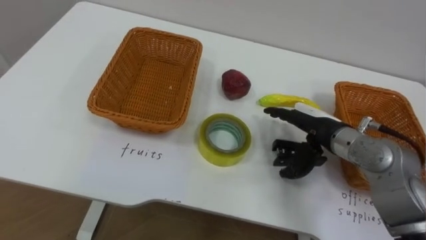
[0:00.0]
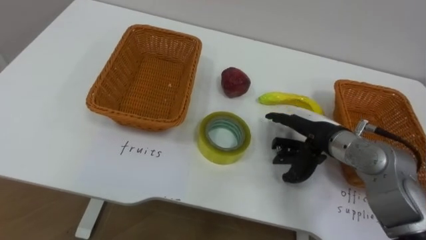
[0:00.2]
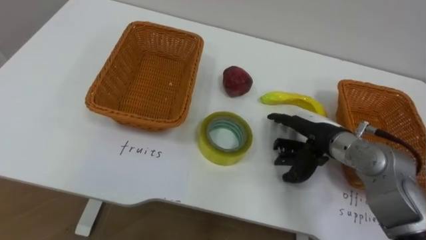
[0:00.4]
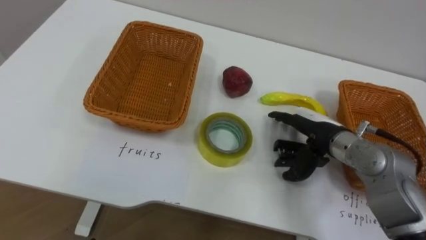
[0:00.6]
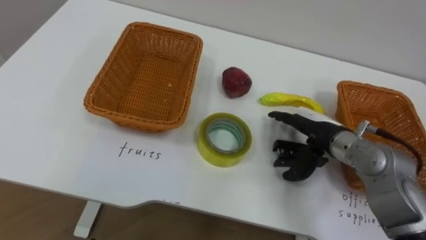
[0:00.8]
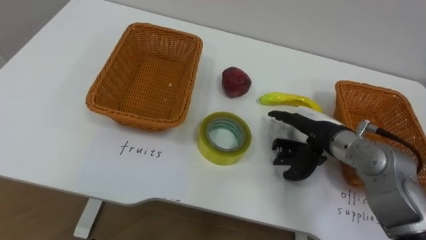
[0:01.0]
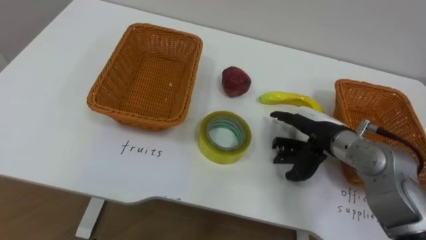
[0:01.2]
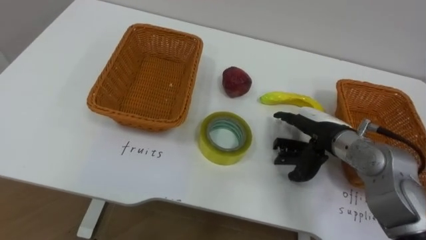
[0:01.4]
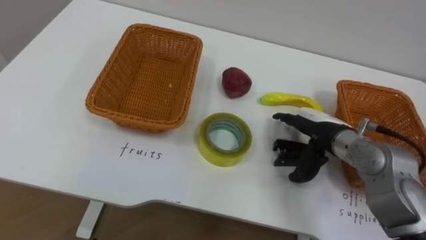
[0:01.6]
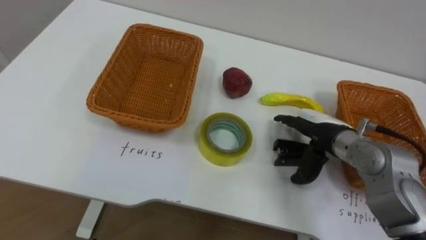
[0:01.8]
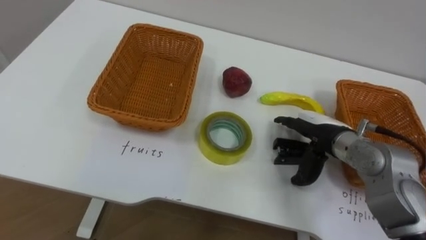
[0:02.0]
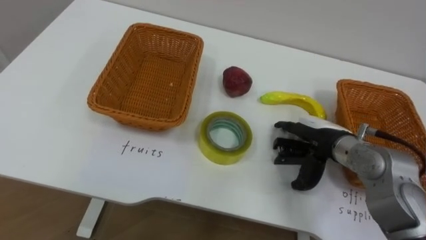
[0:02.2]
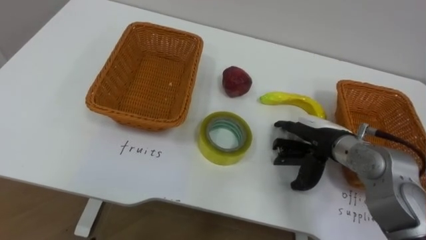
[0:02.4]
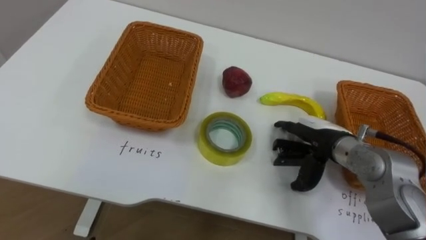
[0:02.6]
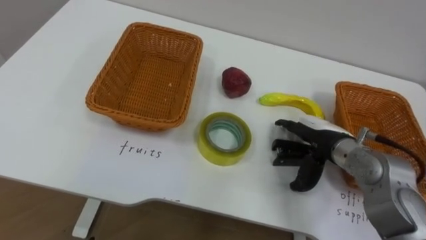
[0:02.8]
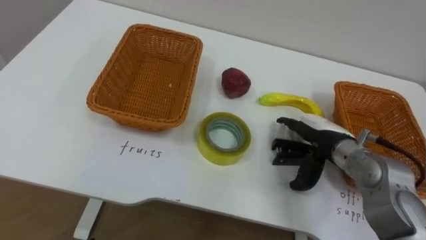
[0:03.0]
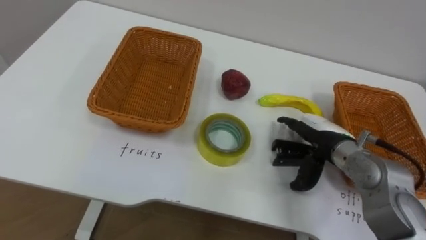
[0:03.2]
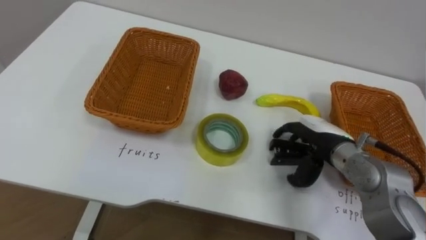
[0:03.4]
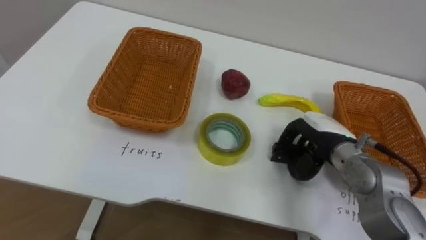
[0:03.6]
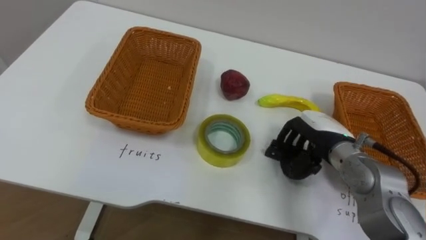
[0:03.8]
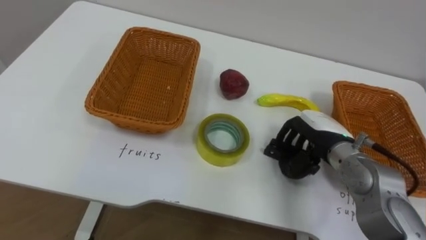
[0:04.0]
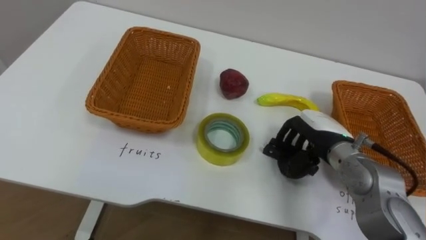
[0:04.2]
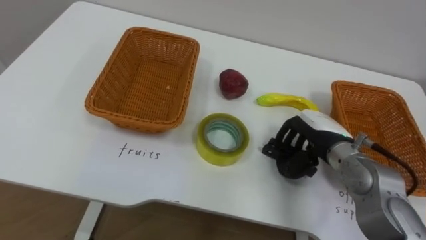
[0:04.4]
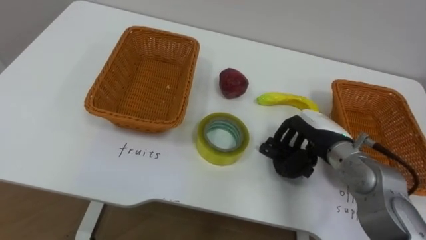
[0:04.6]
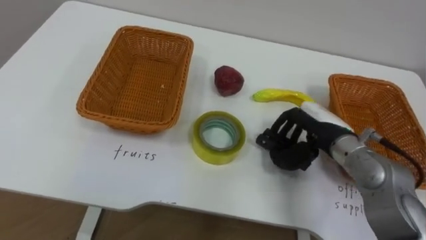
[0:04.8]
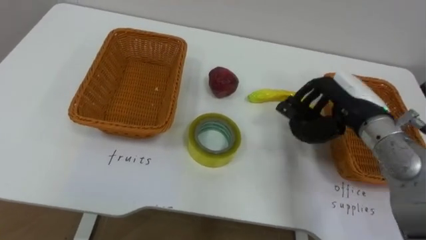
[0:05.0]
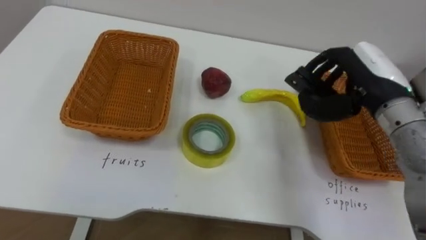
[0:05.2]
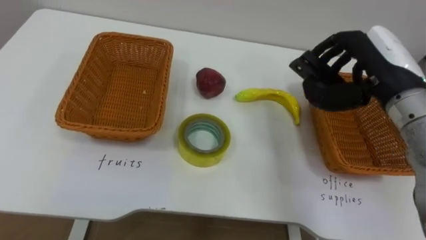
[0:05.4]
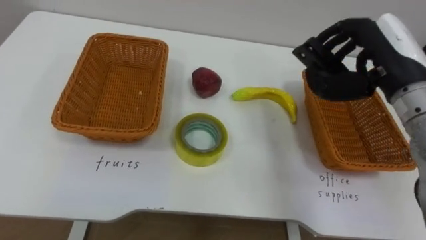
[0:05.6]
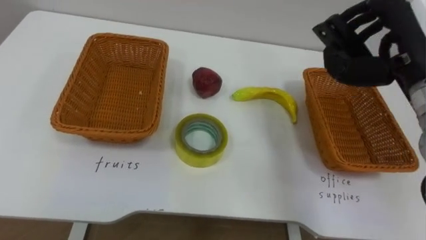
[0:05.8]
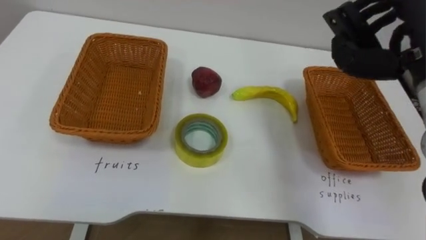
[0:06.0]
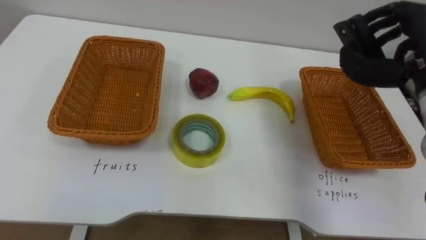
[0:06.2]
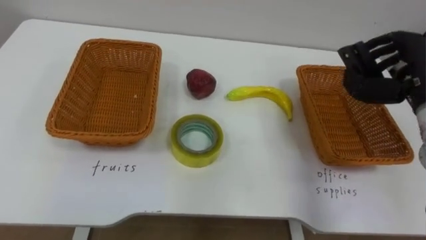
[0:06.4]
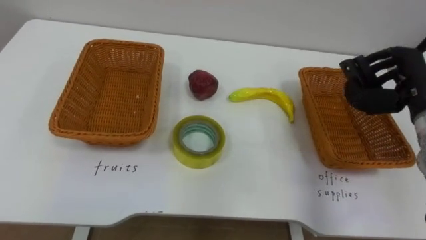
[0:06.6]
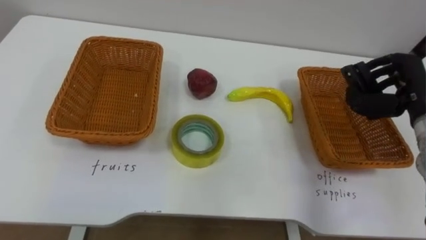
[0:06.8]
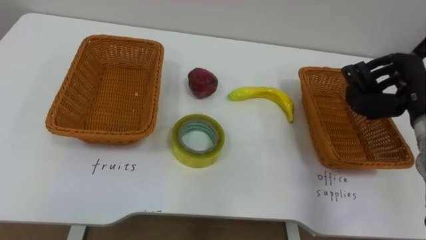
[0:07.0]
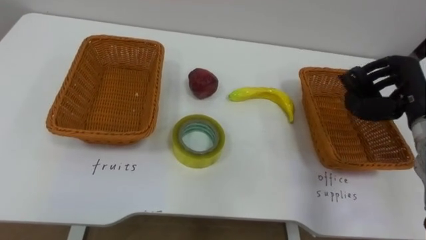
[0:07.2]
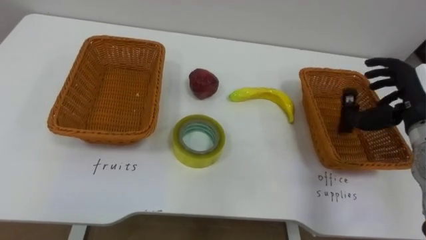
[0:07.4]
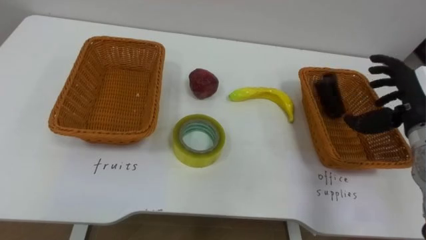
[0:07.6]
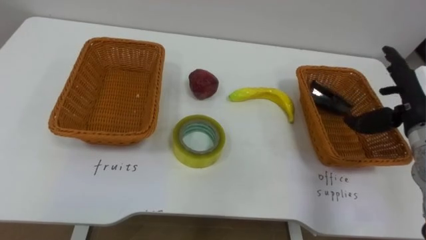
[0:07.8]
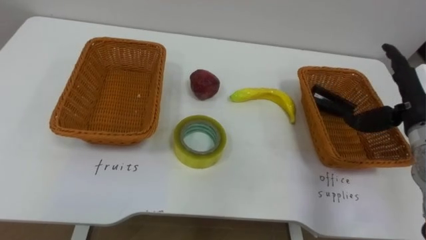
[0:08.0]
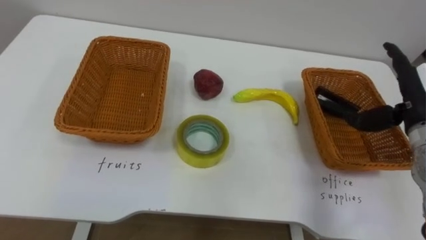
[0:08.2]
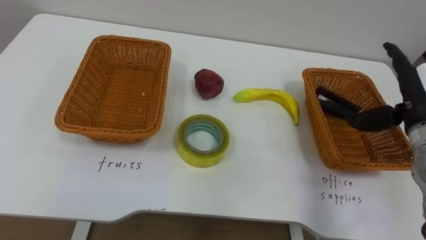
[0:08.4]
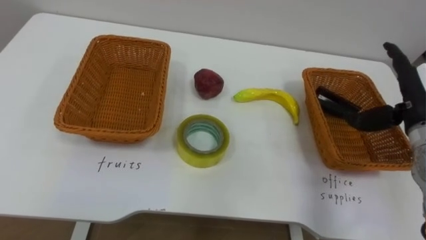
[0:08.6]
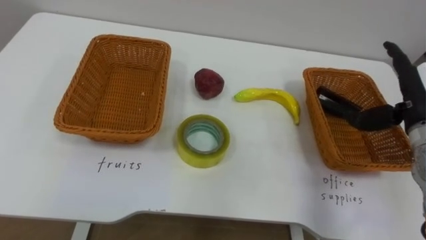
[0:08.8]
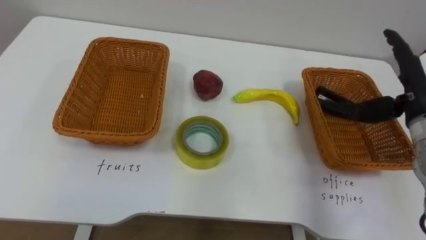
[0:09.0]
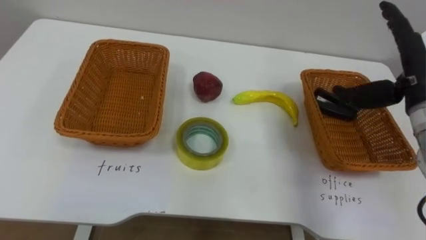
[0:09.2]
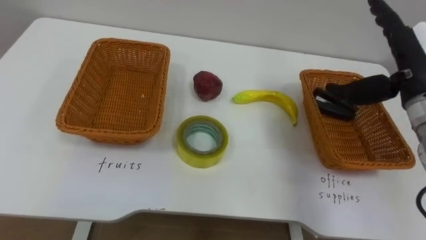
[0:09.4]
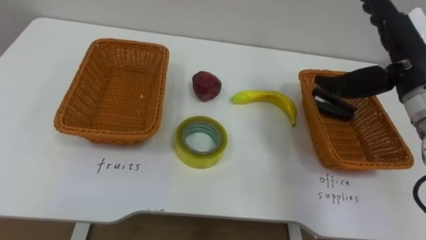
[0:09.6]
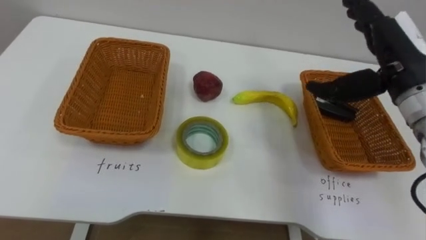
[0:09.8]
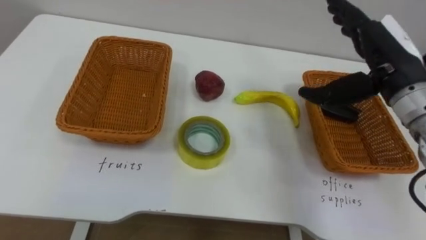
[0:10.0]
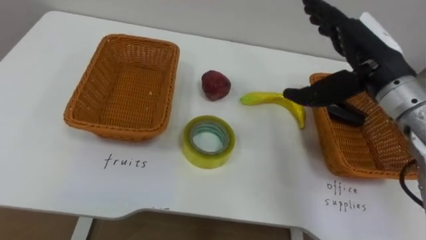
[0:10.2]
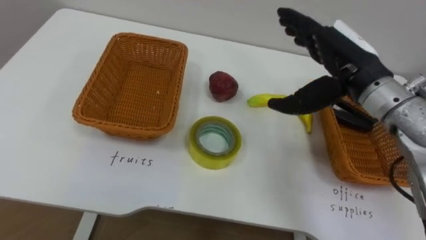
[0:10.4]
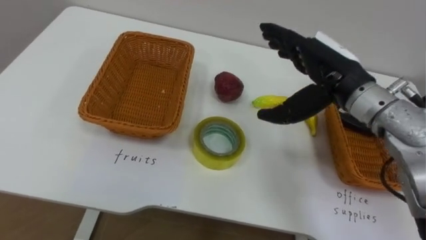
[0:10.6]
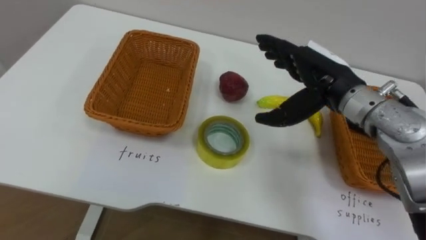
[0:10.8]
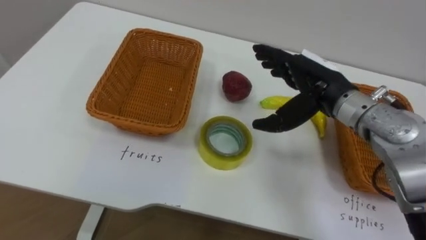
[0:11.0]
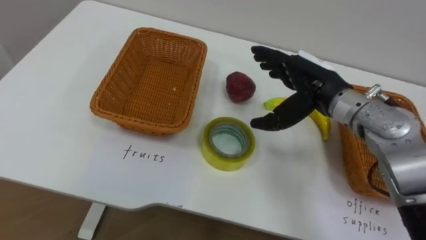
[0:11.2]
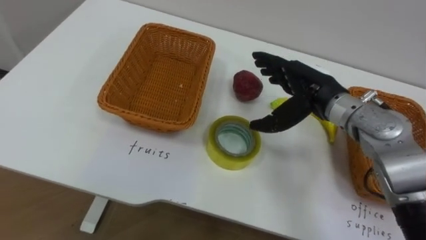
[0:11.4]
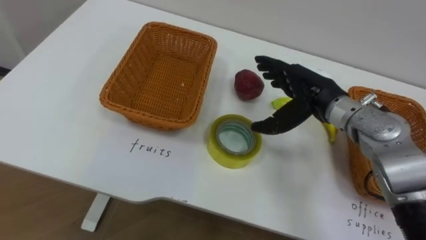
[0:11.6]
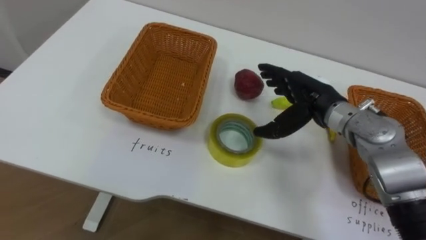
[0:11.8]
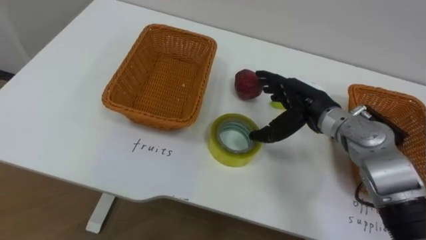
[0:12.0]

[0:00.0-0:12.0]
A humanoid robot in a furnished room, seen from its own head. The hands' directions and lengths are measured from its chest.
Task of the whole recording: Separate the items on the table and place them into the two baskets.
0:03.0 to 0:04.4: The right hand closes.
0:04.4 to 0:06.0: The right hand travels upward by roughly 20 cm.
0:06.0 to 0:07.6: The right hand moves downward and to the right, some 15 cm, and opens.
0:09.0 to 0:10.4: The right hand goes approximately 15 cm to the left and upward.
0:10.4 to 0:12.0: The right hand shifts approximately 10 cm downward.

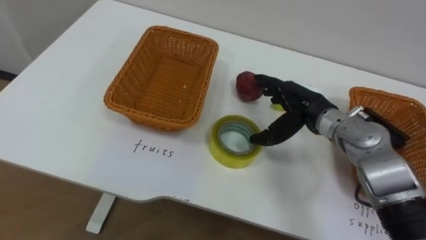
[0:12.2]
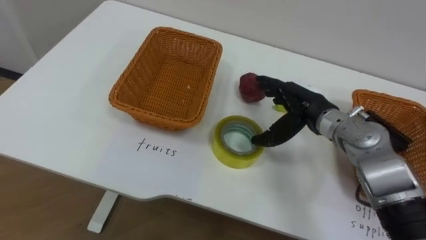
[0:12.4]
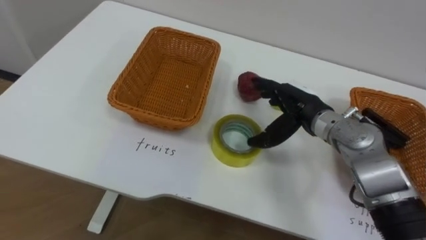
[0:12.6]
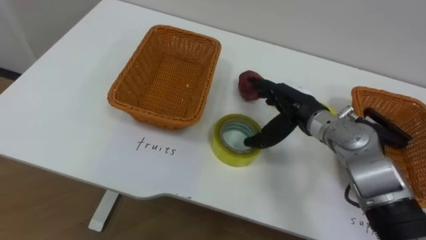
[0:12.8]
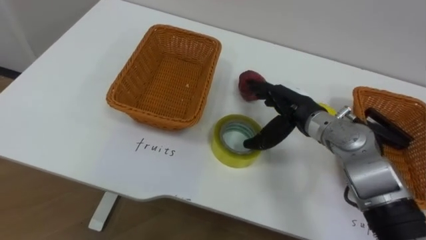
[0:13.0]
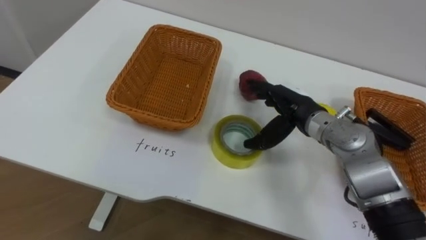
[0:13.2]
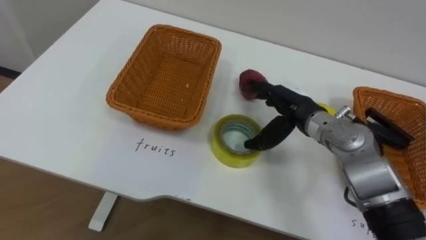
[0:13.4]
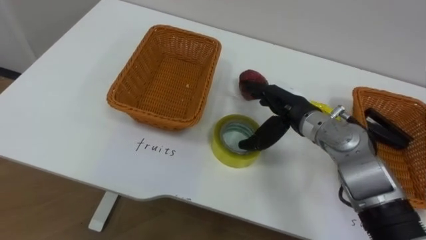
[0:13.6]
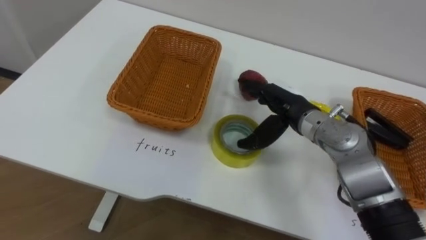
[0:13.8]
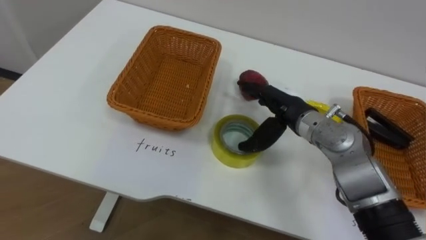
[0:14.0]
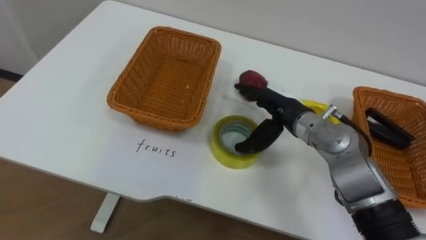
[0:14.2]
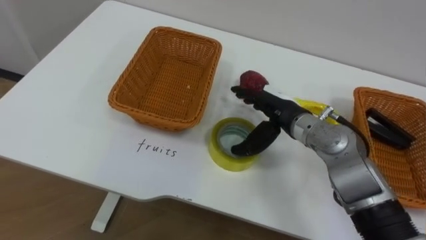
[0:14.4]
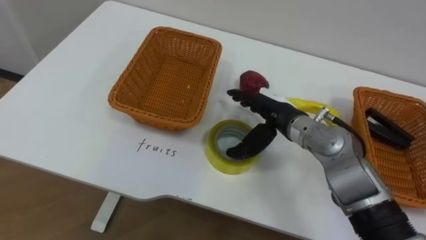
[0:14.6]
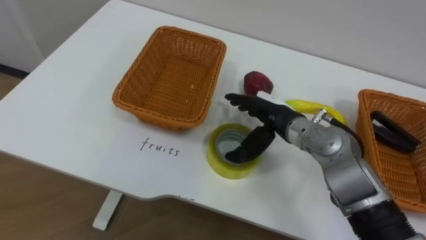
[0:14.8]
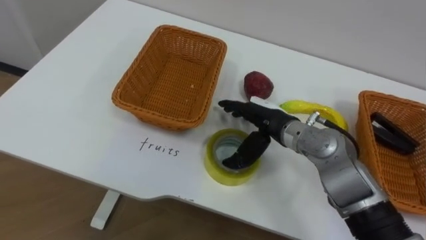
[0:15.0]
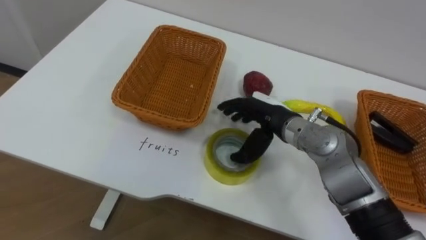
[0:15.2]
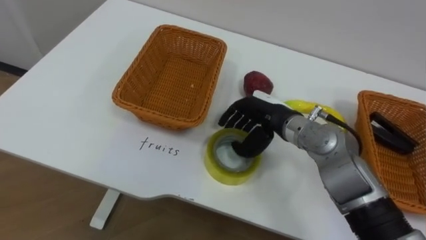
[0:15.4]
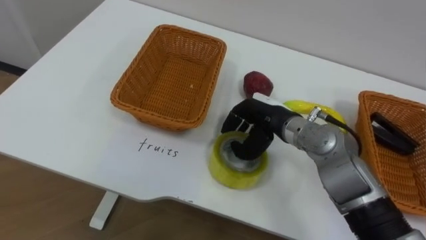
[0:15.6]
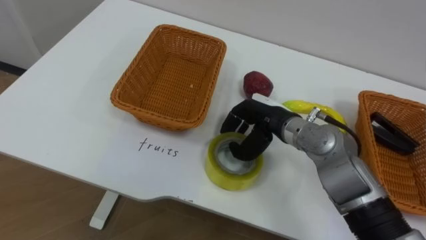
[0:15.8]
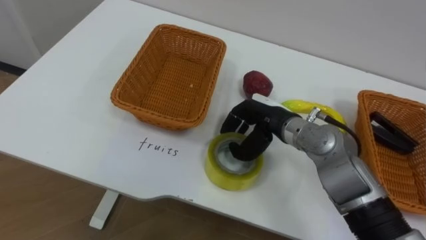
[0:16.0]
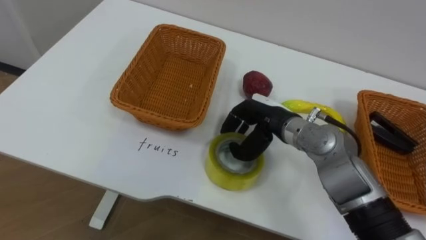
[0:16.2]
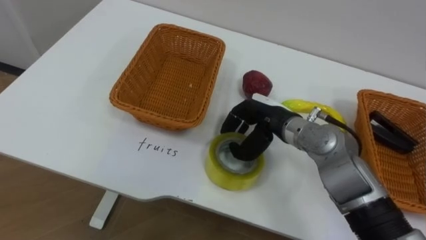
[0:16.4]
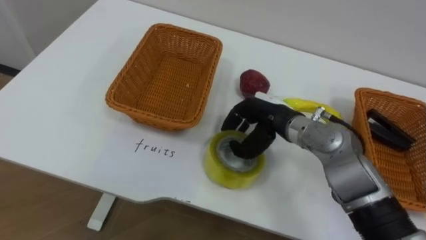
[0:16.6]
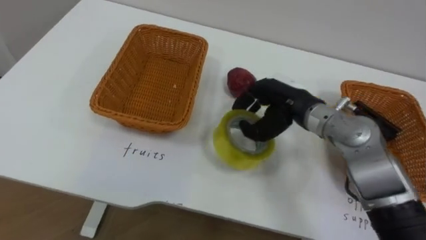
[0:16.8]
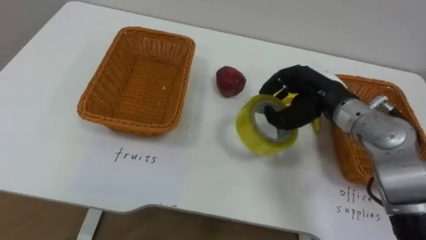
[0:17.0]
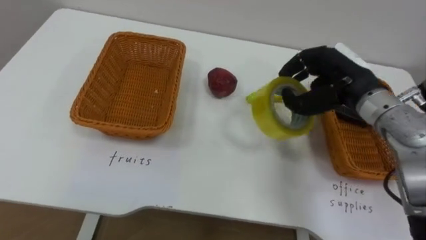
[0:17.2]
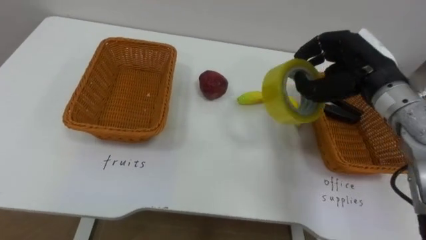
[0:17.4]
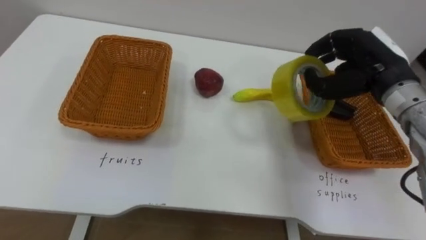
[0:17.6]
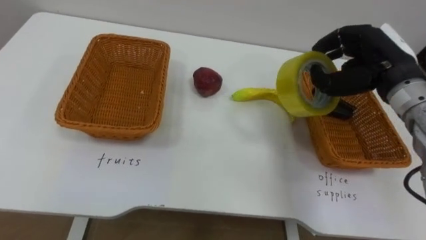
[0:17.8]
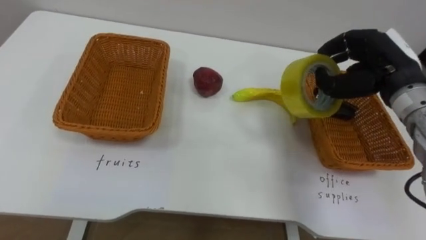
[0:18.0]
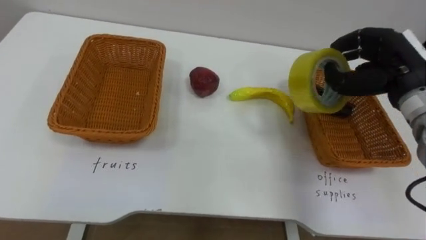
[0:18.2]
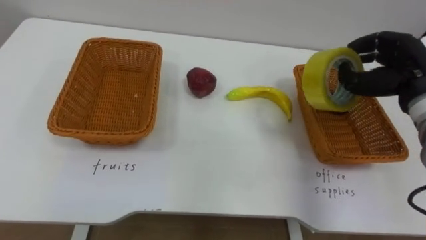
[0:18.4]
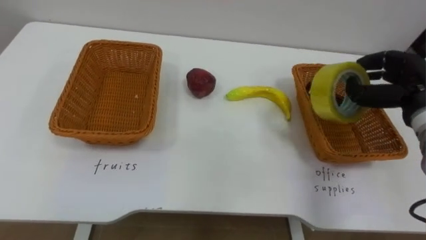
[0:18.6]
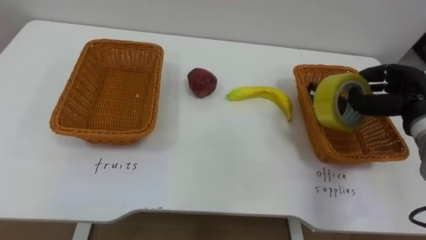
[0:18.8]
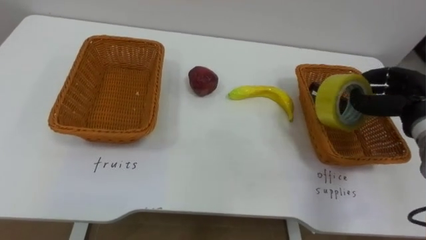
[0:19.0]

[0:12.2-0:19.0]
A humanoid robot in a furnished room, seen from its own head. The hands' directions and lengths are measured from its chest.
Task of the whole recording: Separate the items on the table and place them into the two baskets.
0:15.0 to 0:16.2: The right hand closes.
0:16.2 to 0:17.6: The right hand goes some 20 cm to the right and upward.
0:17.6 to 0:19.0: The right hand shifts some 15 cm to the right and downward.
